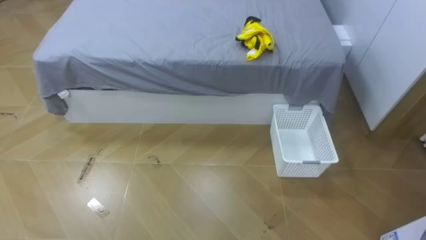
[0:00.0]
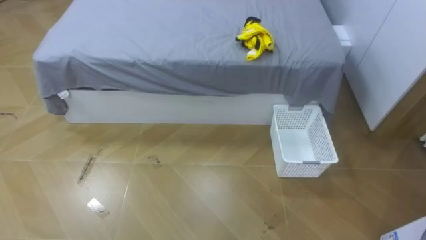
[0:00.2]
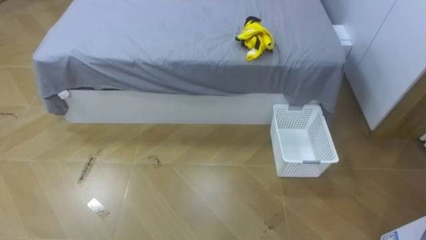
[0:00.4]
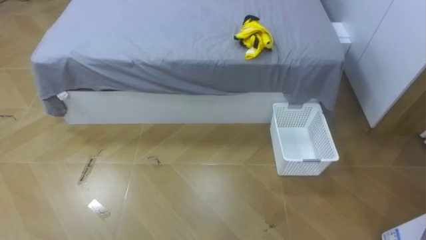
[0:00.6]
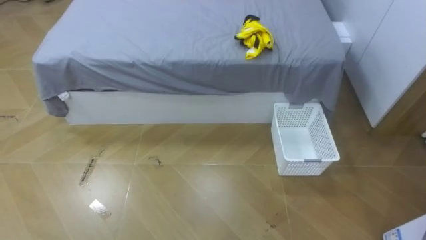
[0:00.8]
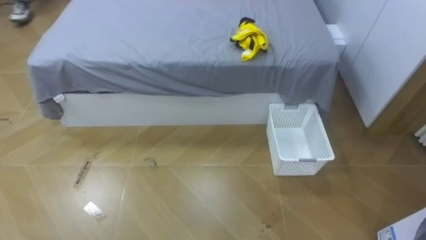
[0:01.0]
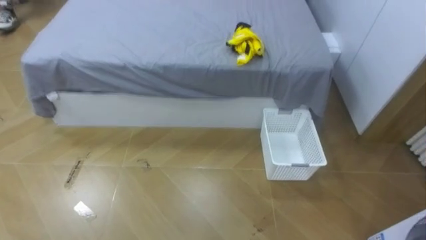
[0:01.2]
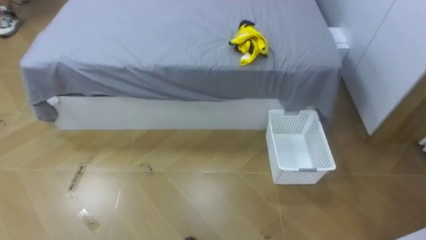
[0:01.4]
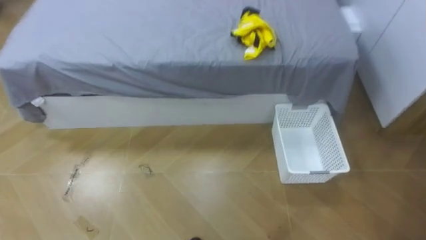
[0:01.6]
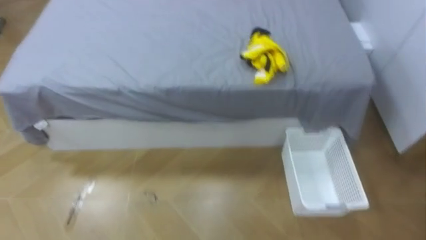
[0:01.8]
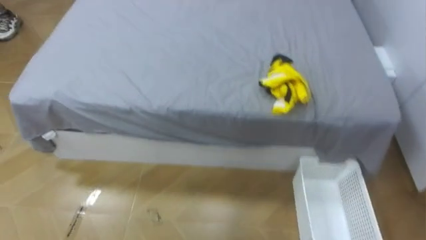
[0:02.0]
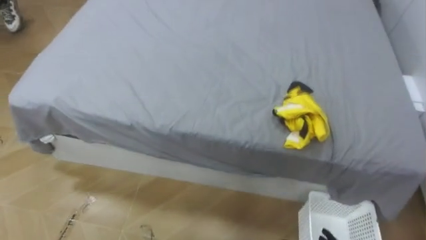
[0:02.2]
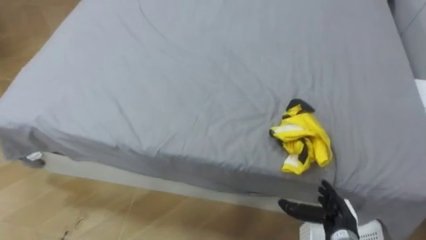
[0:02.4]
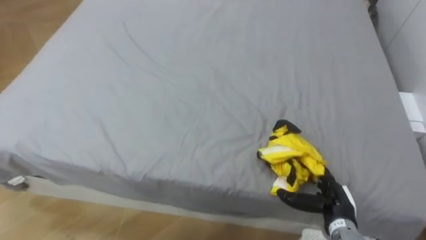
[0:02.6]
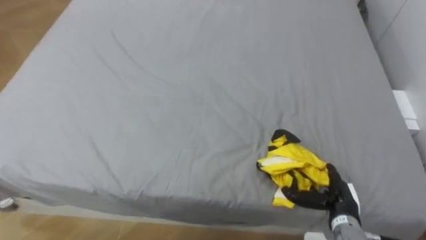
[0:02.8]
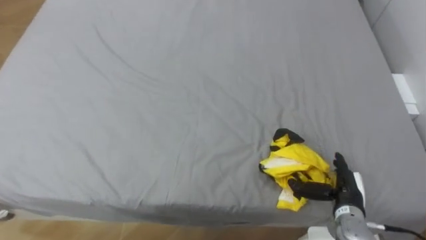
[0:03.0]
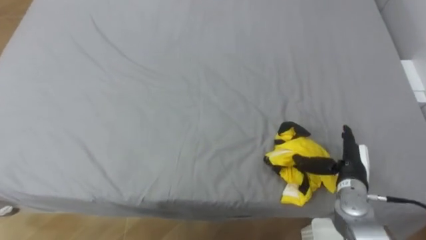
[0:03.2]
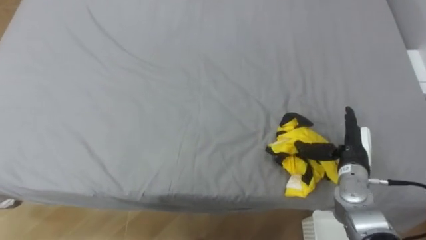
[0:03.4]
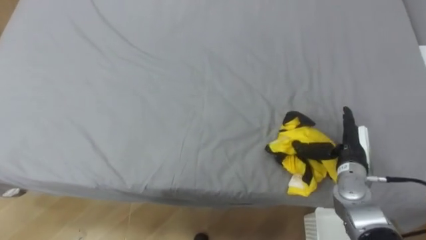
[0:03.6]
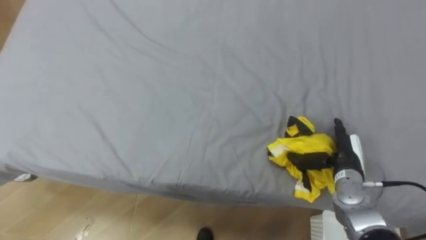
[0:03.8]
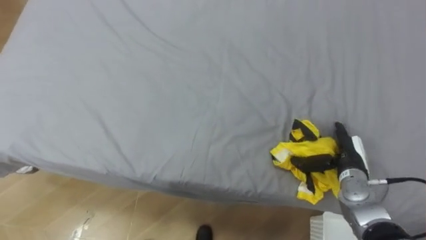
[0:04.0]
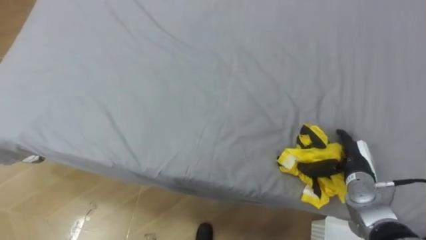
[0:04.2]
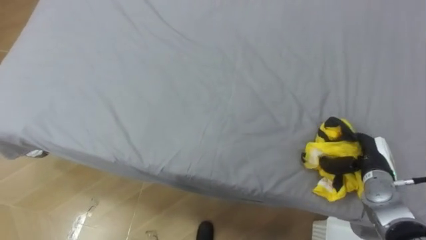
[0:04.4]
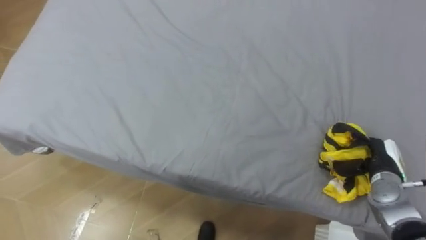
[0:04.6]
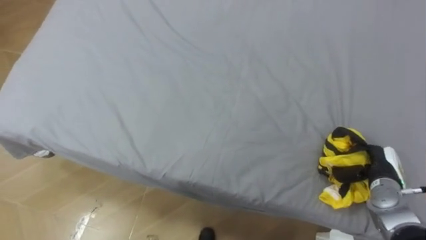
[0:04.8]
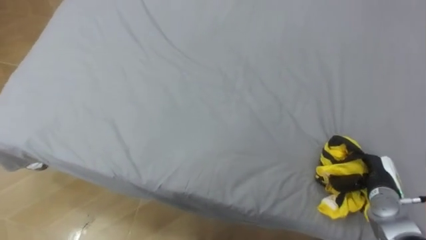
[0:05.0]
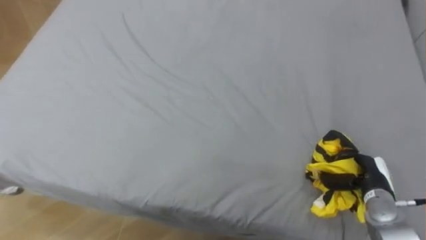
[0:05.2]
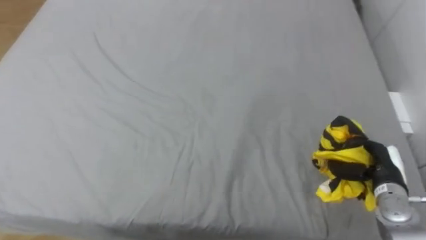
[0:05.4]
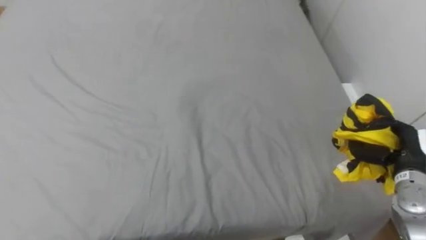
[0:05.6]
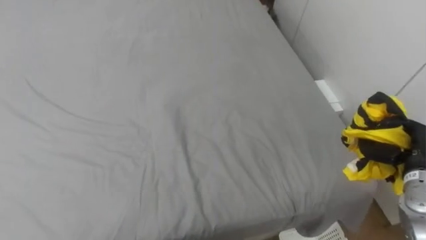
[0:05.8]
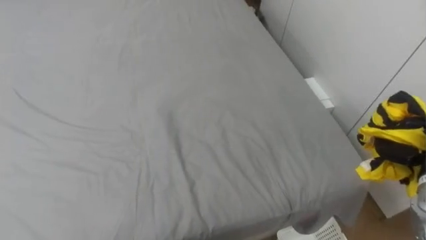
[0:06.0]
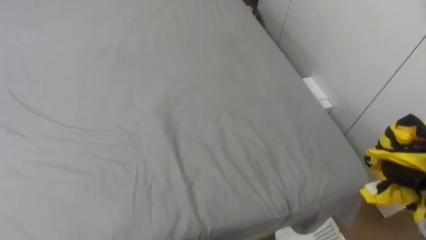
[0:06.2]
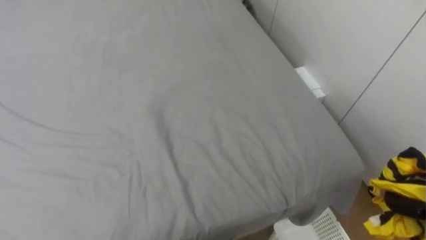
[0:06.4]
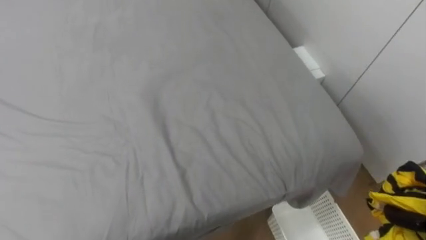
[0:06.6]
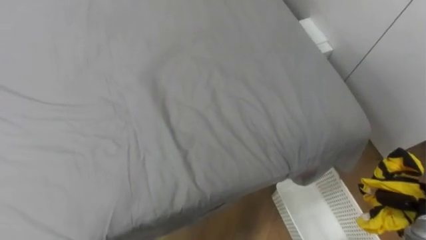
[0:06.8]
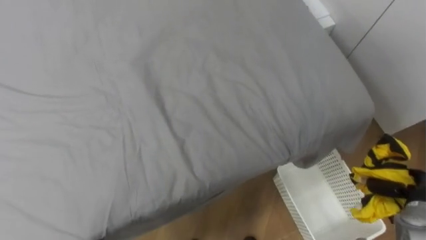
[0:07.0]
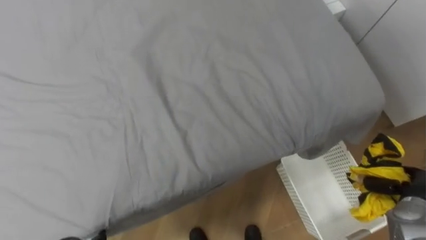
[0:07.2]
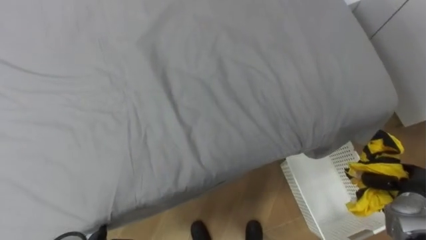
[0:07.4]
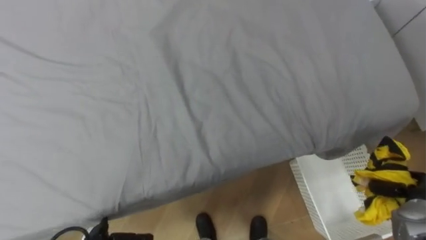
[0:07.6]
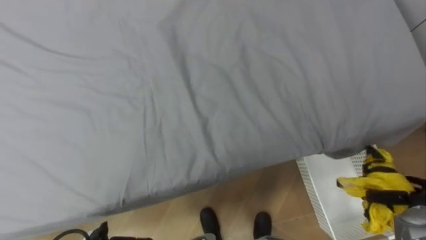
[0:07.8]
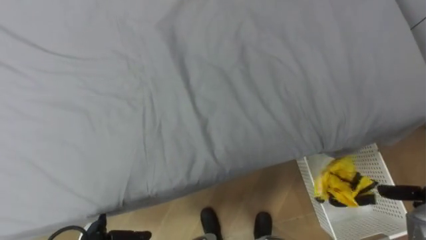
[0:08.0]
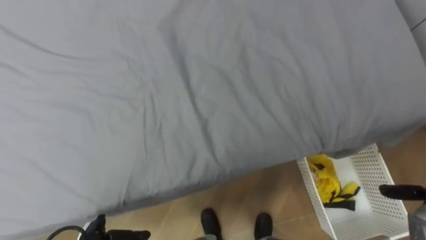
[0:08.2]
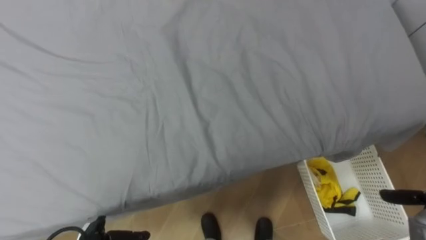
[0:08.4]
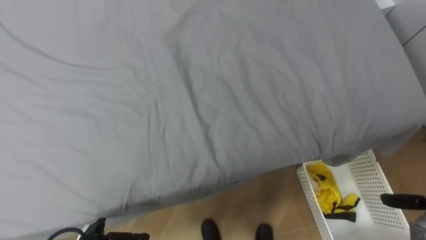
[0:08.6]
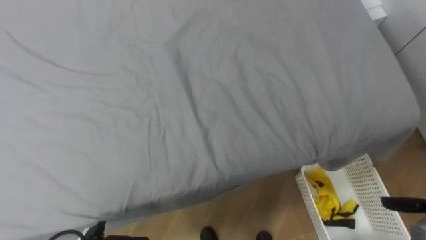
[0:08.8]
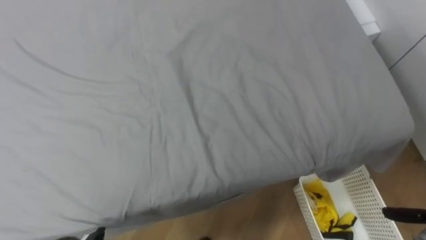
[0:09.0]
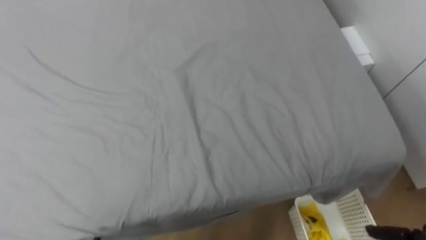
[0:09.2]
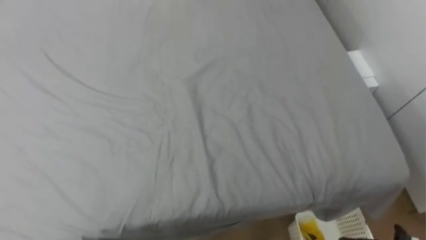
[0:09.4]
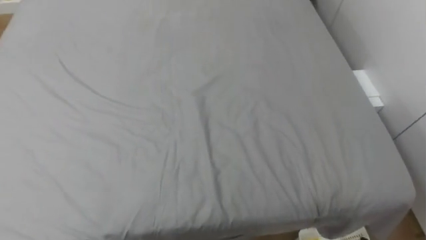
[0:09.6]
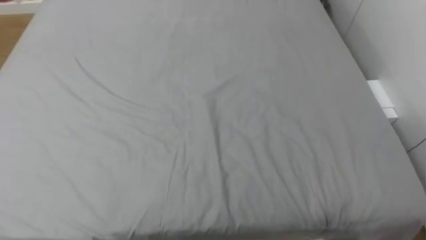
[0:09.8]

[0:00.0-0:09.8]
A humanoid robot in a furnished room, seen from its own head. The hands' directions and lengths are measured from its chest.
Task of the whole recording: Pick up the yellow clothes on the bed and place them into the white basket on the right.
0:02.8 to 0:04.2: The right hand travels forward by about 5 cm.
0:04.2 to 0:05.6: The right hand shifts about 10 cm upward and to the right, and closes its fingers.

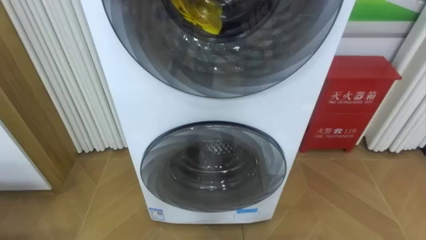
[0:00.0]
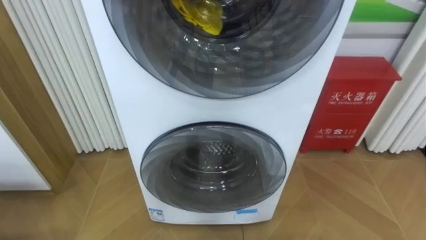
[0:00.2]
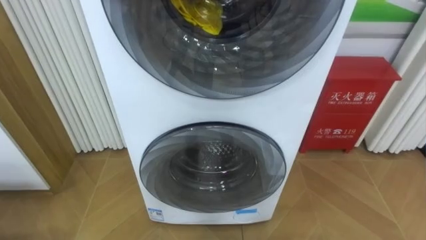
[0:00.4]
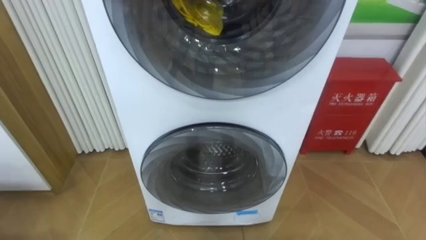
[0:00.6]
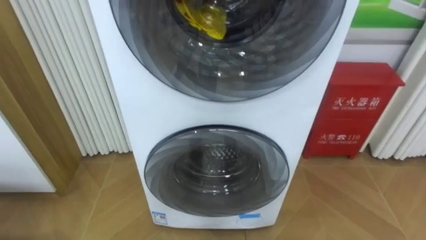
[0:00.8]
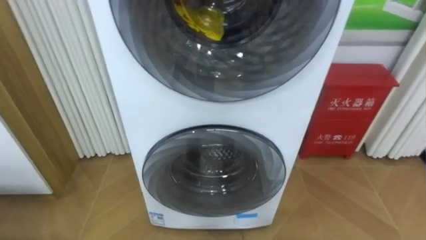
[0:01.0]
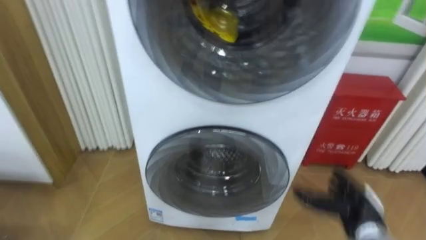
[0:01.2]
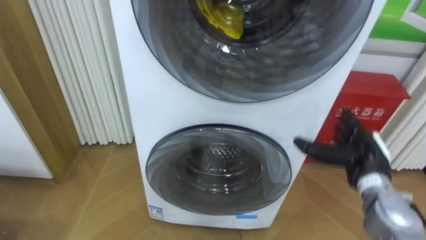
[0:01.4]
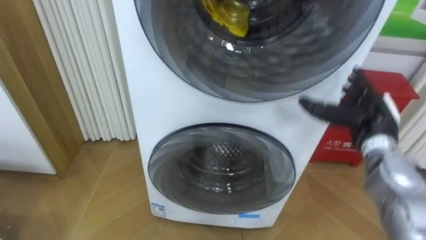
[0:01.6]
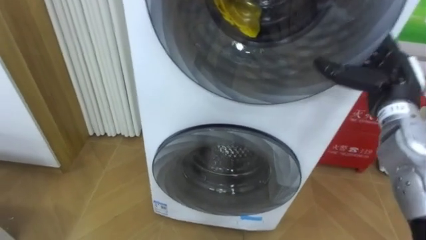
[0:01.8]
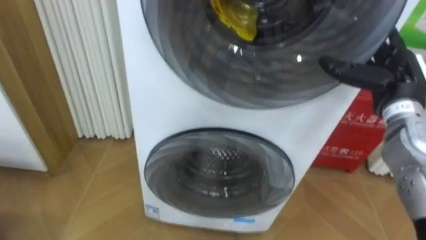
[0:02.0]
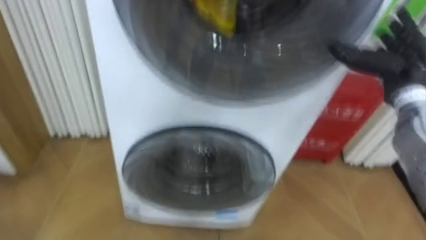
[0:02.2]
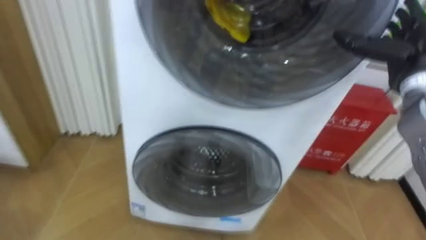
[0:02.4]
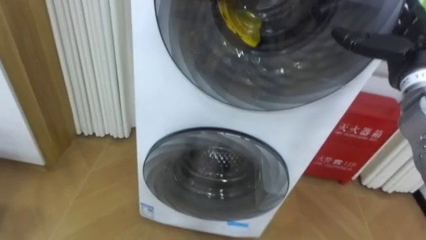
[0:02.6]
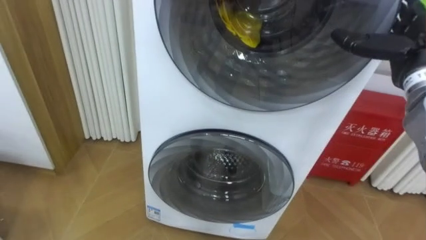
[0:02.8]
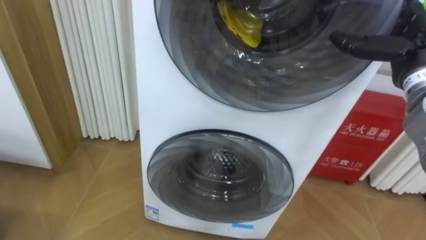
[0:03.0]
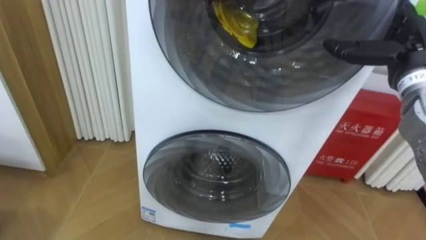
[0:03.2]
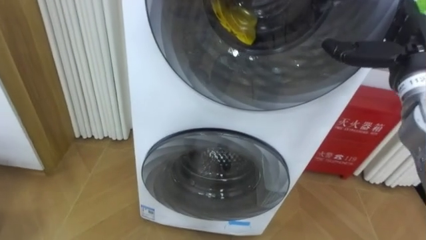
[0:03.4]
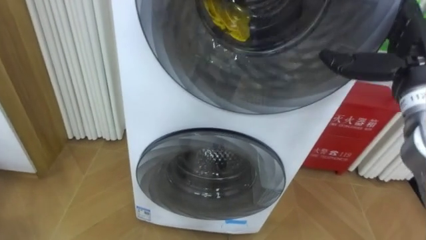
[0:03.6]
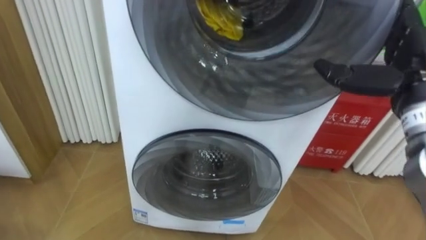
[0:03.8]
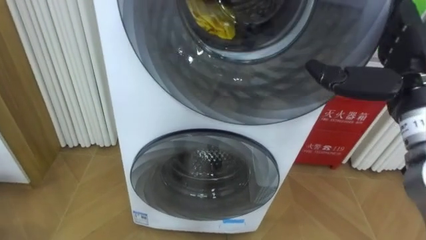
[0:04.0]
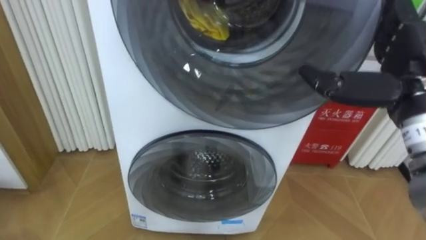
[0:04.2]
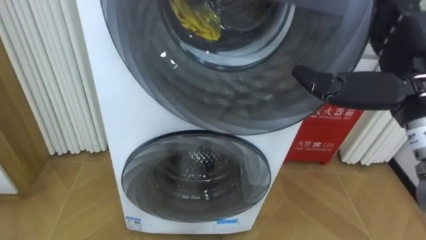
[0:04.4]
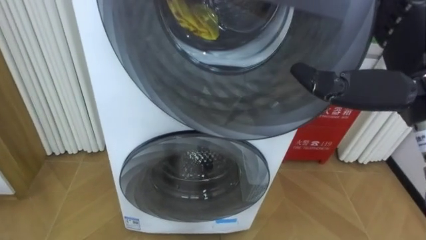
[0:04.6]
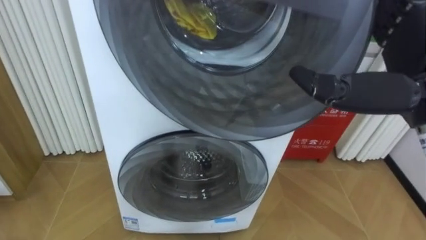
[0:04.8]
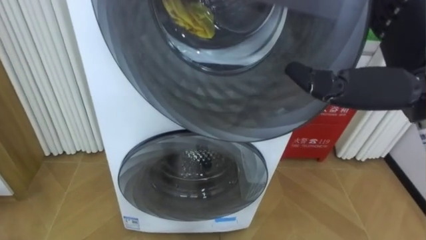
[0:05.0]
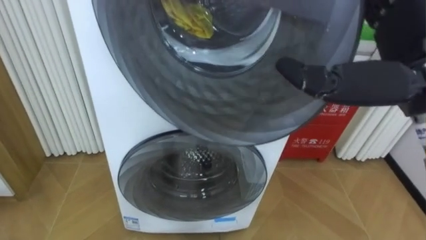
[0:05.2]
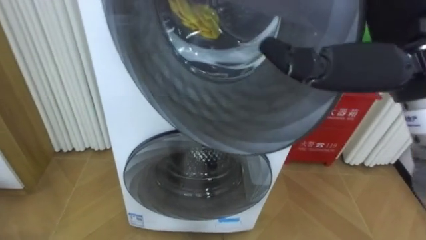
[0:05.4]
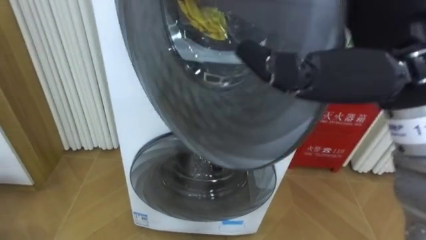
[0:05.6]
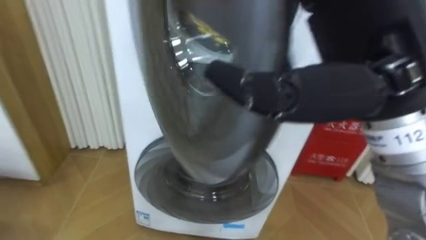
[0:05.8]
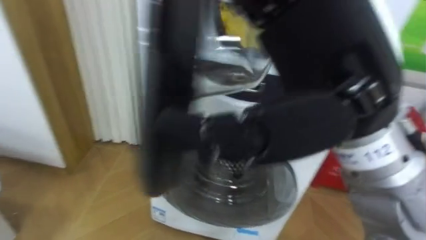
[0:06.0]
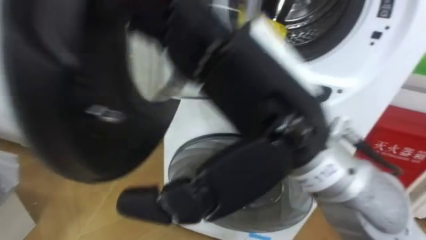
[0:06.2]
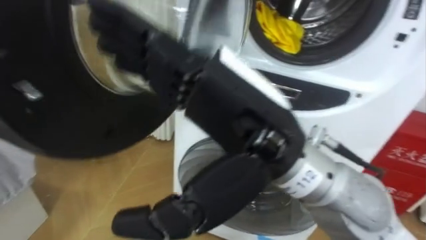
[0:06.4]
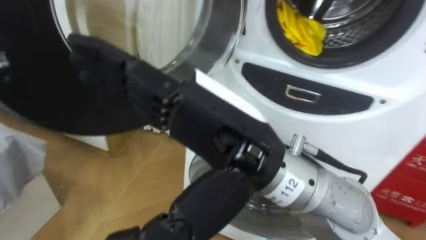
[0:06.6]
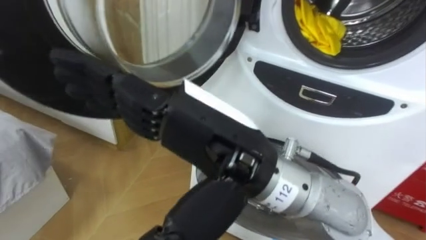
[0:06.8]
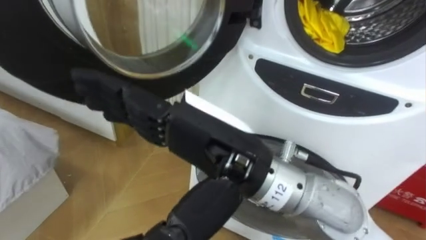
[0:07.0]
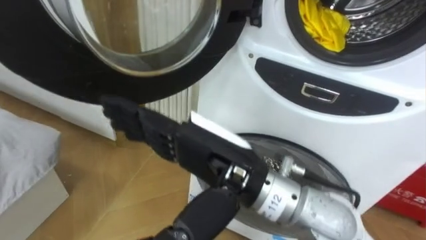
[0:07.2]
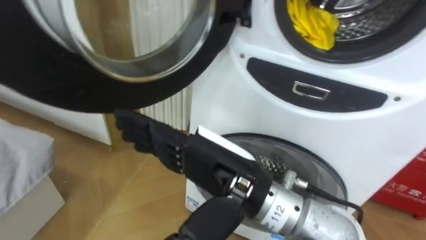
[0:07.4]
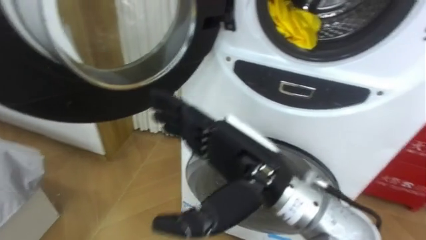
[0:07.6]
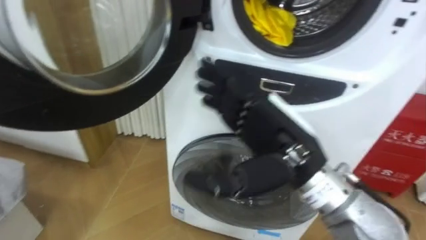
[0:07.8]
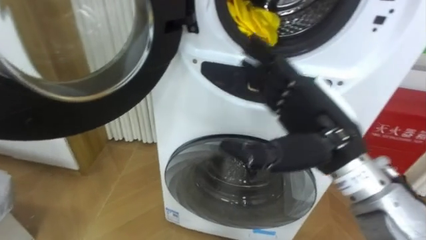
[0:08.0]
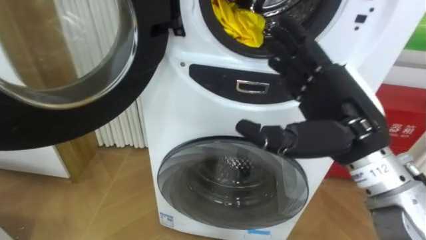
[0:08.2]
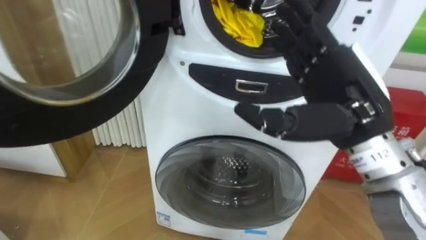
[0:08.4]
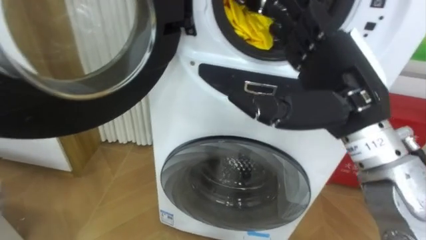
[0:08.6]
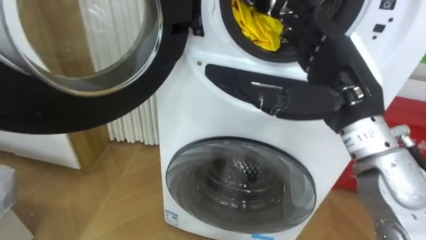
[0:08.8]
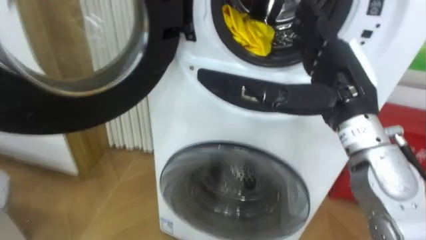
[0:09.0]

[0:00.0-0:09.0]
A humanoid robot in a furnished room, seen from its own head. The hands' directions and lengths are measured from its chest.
Task of the whole recording: Open the washing machine door, take out the yellow clothes, place them in the box on the right, and close the washing machine door.
0:01.6 to 0:03.0: The right hand travels upward by approximately 10 cm.
0:03.0 to 0:04.4: The right hand travels backward and to the left by roughly 15 cm.
0:04.4 to 0:06.0: The right hand is displaced to the left and backward by approximately 15 cm.
0:06.0 to 0:07.6: The right hand heads downward, covering some 15 cm.
0:07.6 to 0:09.0: The right hand moves to the right and forward, roughly 15 cm.
